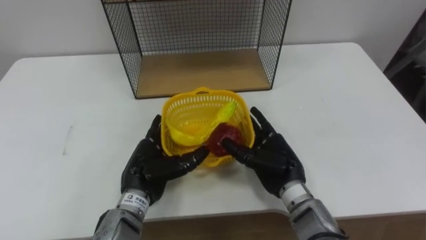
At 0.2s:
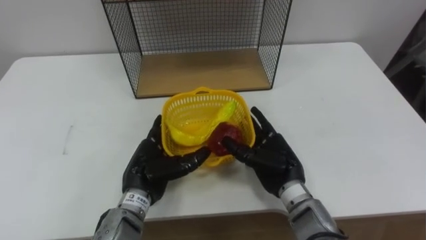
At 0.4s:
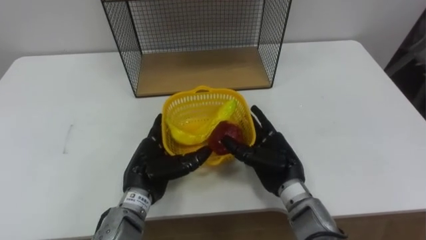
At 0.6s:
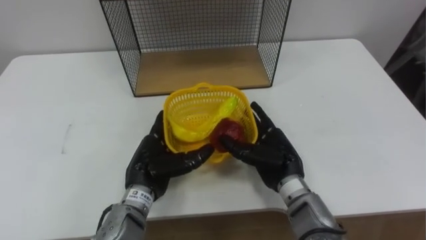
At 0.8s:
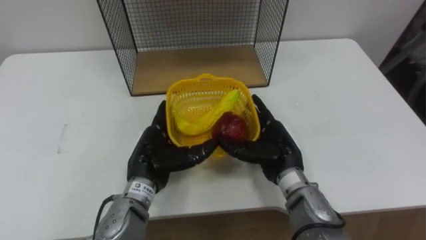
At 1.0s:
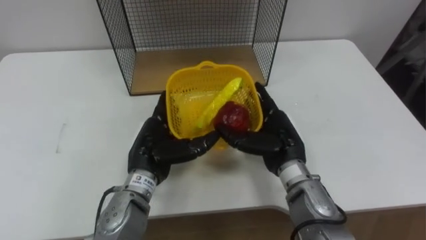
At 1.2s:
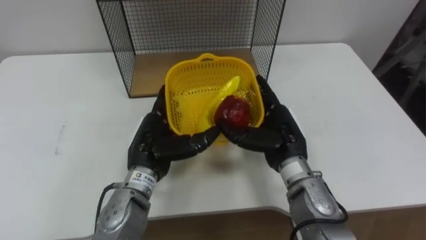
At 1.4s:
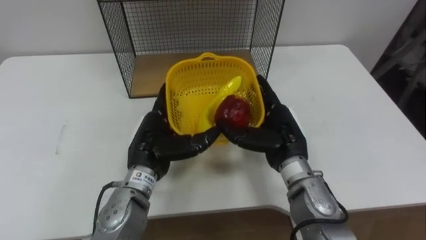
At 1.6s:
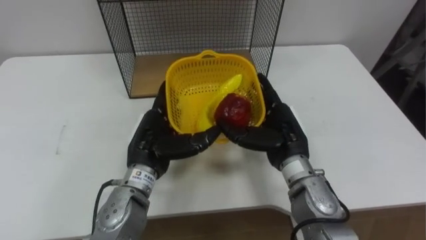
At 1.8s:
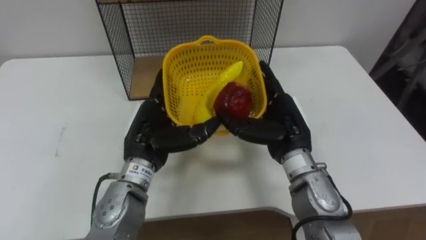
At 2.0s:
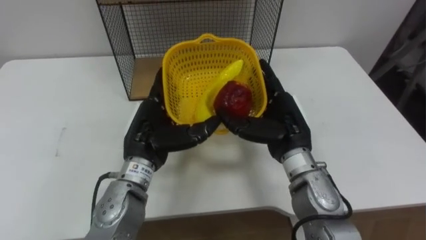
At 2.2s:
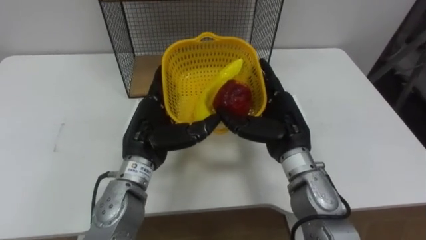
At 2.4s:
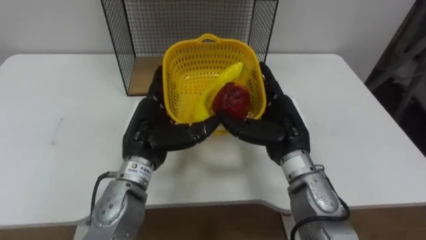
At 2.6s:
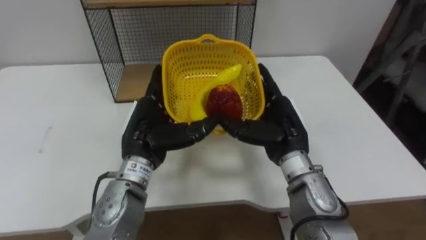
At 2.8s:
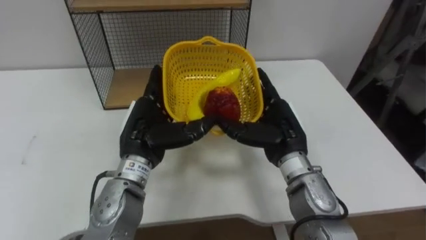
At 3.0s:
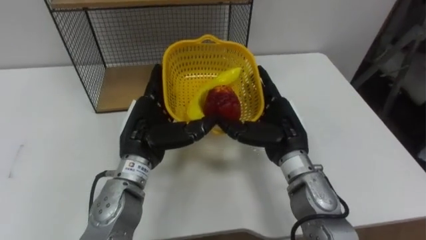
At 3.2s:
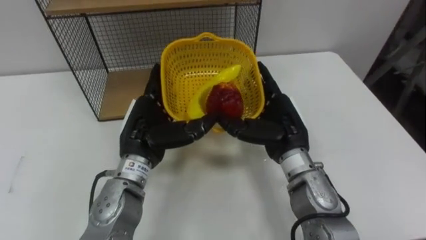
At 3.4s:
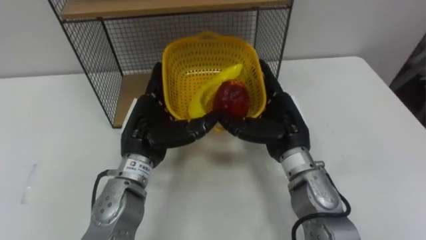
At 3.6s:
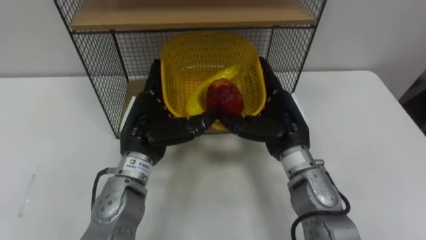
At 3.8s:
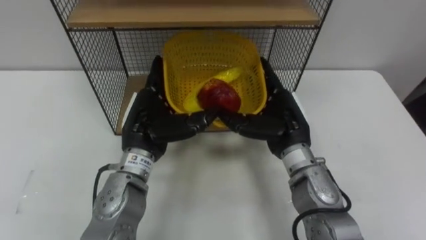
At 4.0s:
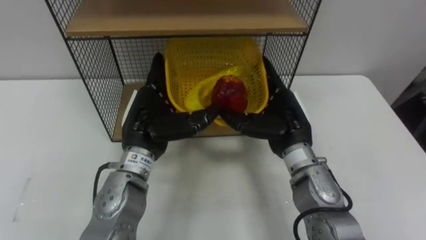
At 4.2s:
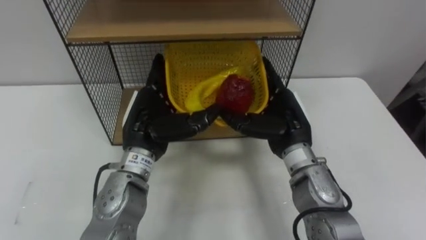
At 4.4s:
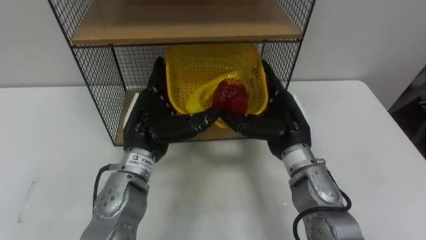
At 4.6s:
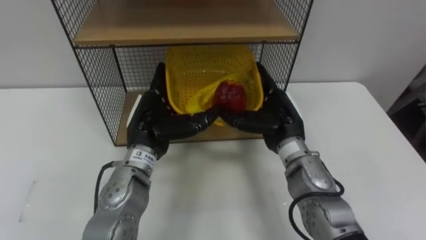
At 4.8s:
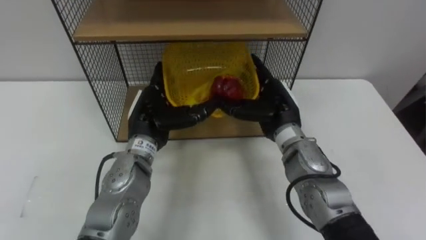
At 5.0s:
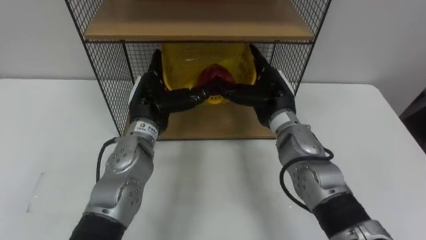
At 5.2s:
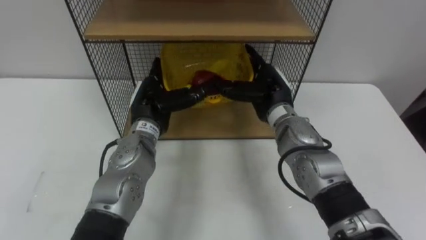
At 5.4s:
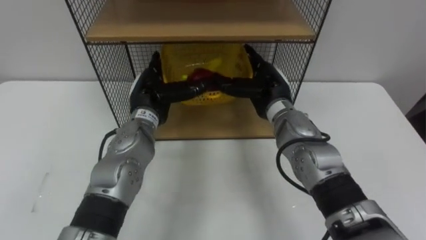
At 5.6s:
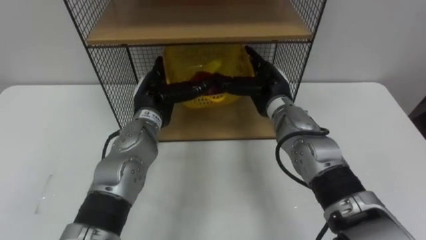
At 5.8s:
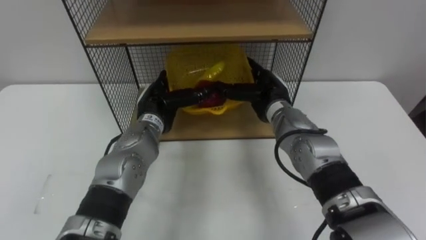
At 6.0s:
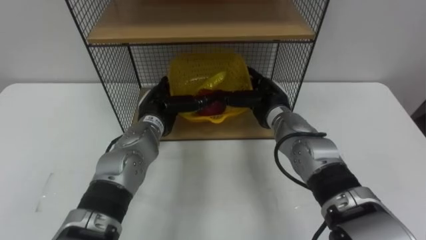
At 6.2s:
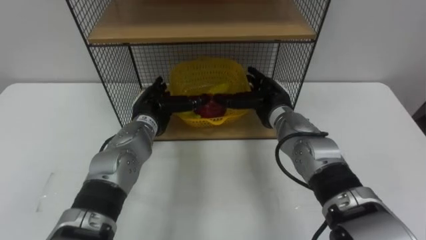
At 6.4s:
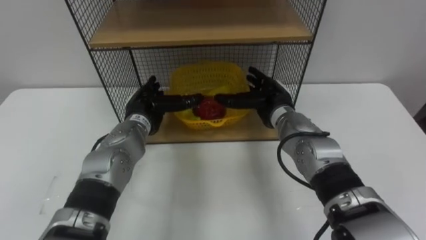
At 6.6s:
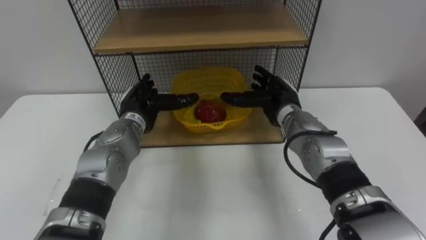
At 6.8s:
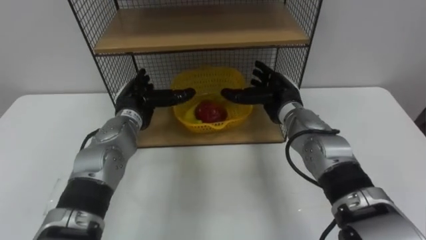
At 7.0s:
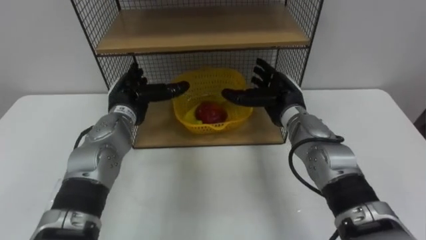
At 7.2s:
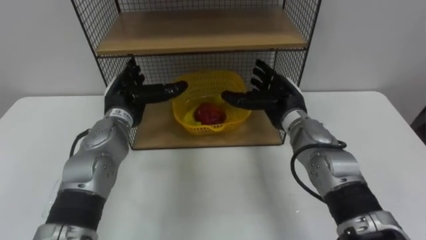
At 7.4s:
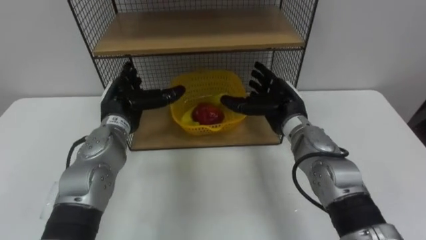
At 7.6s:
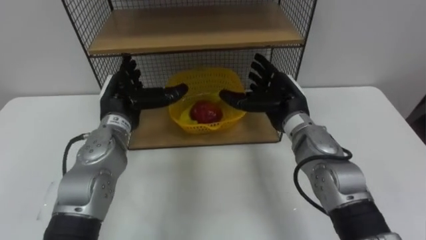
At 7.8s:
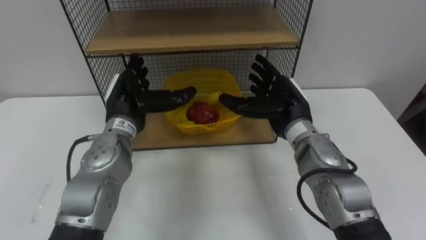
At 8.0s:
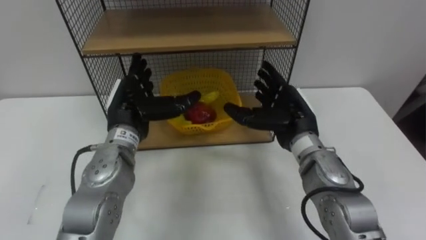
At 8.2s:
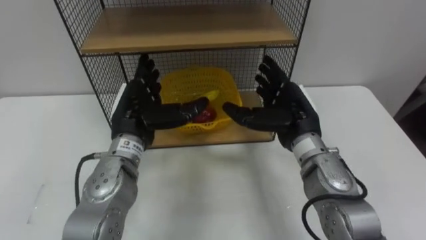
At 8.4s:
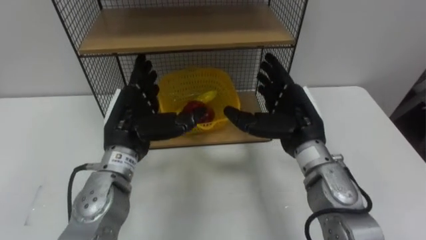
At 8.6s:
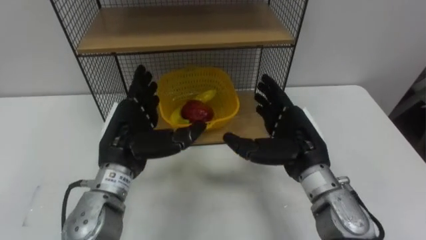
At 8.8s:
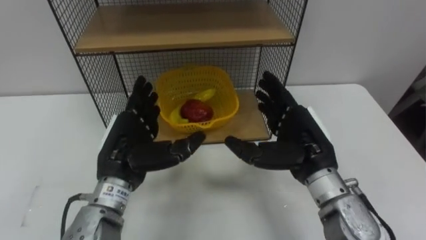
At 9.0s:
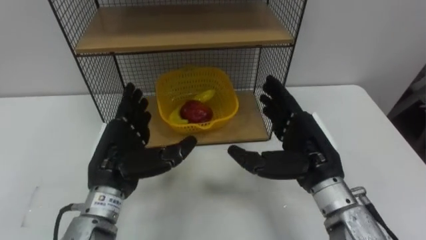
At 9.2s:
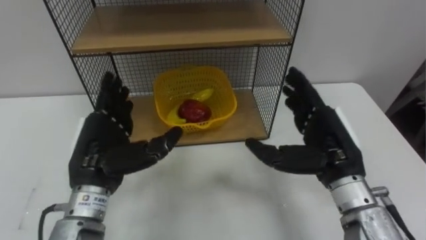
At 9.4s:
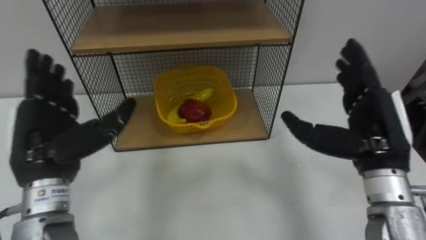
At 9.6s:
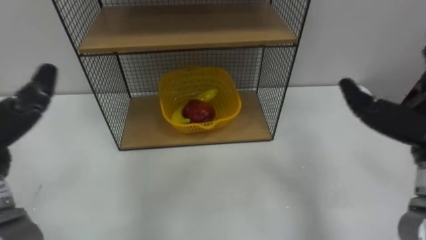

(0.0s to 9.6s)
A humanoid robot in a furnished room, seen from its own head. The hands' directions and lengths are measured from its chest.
Task of the whole recording: Put the fruit on the table into the basket, then place the basket on the shelf.
0.0s - 1.6s: The right hand moves upward, some 5 cm, while the left hand shifts by about 5 cm.
4.8s - 6.4s: The left hand moves forward, approximately 5 cm. Meanwhile the right hand shifts by some 5 cm.
6.4s - 8.0s: The right hand travels backward by some 5 cm; the left hand heads upward, covering some 5 cm.

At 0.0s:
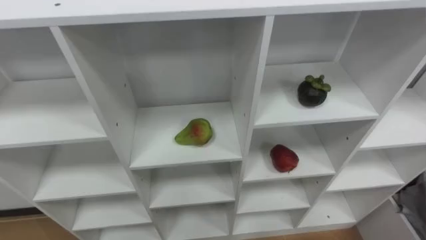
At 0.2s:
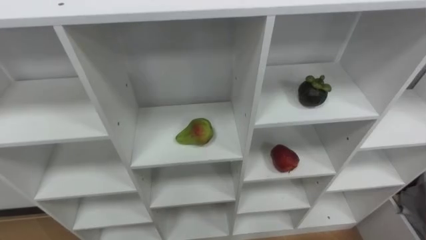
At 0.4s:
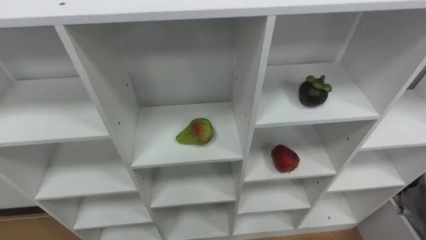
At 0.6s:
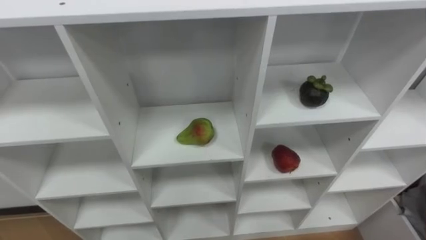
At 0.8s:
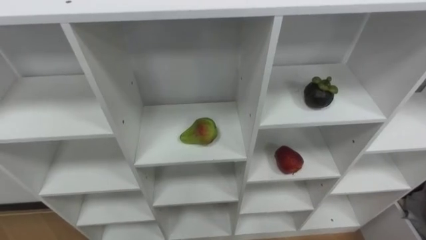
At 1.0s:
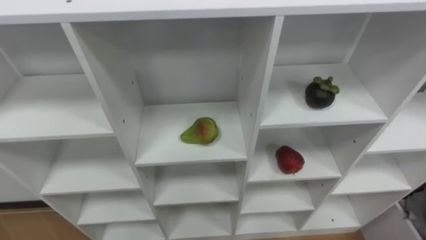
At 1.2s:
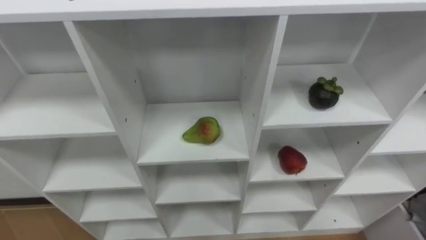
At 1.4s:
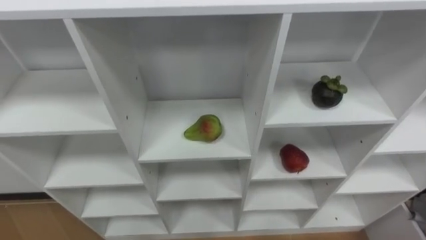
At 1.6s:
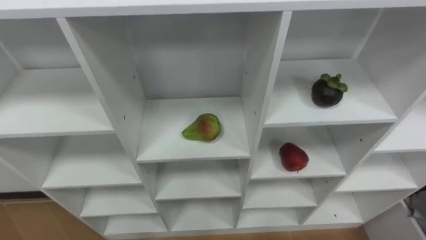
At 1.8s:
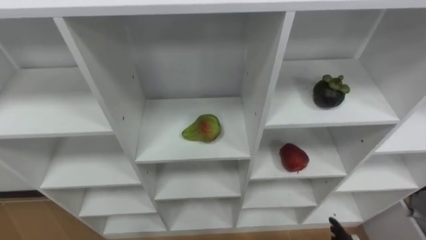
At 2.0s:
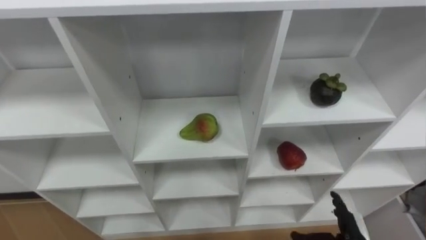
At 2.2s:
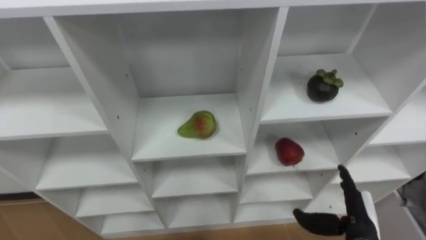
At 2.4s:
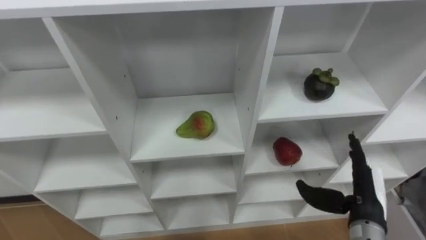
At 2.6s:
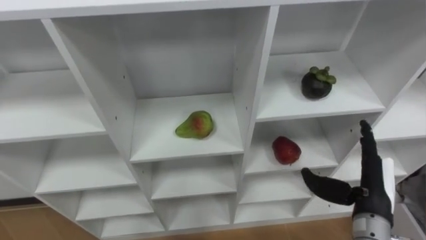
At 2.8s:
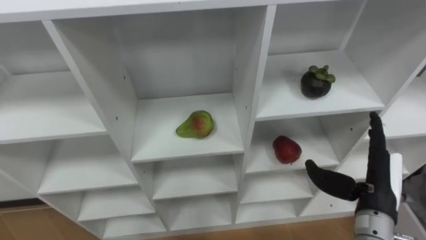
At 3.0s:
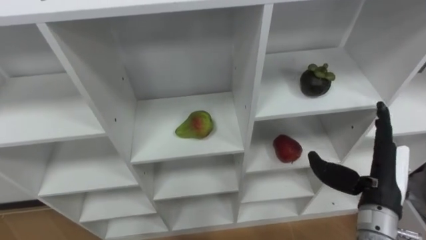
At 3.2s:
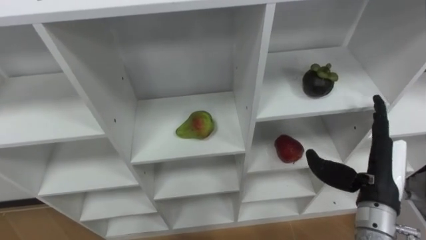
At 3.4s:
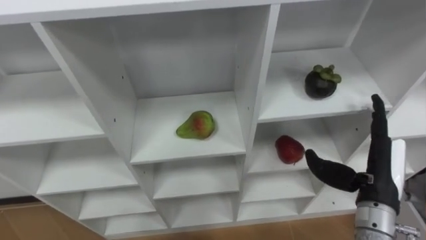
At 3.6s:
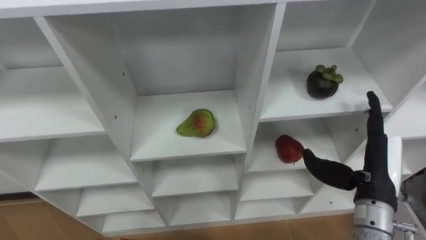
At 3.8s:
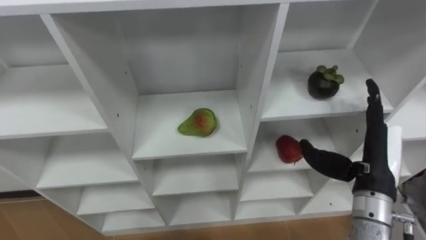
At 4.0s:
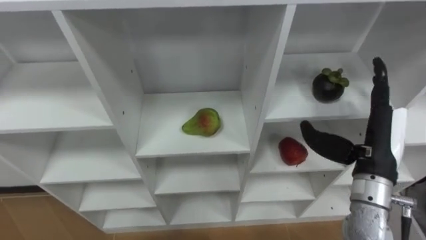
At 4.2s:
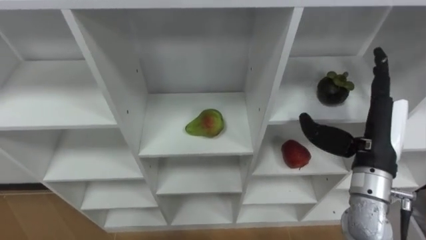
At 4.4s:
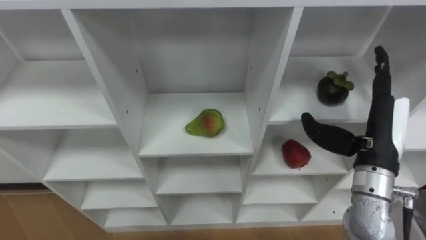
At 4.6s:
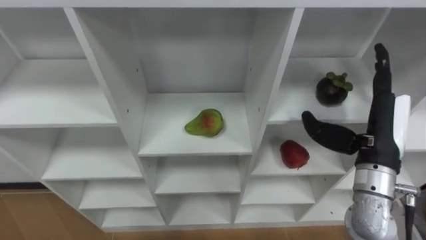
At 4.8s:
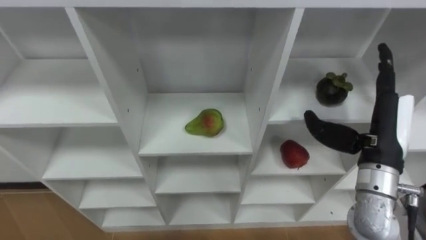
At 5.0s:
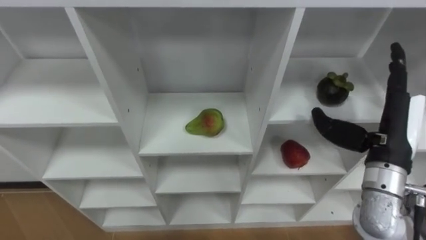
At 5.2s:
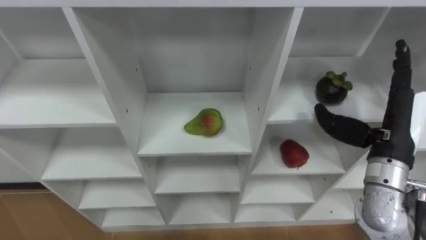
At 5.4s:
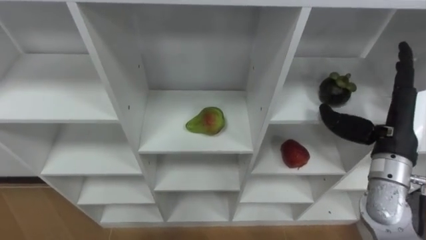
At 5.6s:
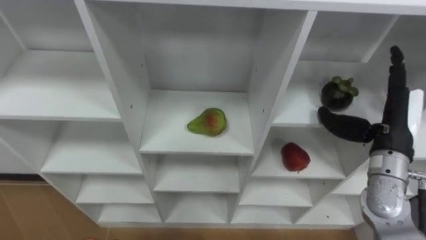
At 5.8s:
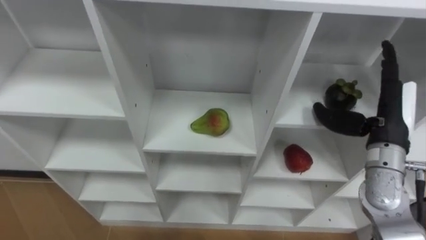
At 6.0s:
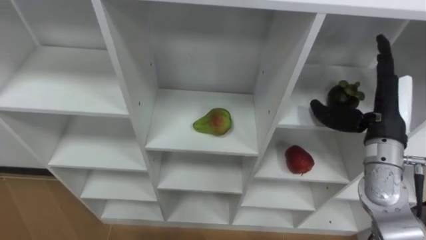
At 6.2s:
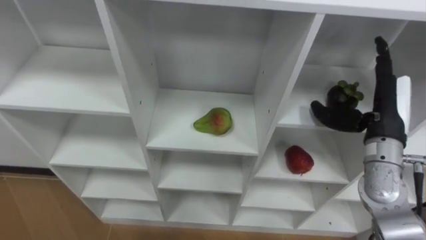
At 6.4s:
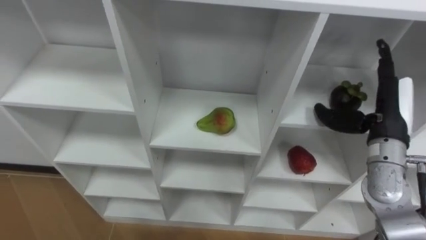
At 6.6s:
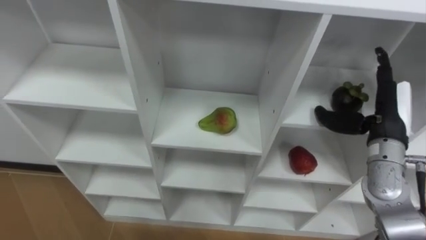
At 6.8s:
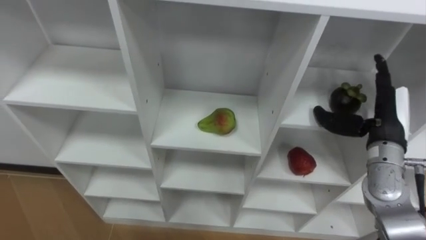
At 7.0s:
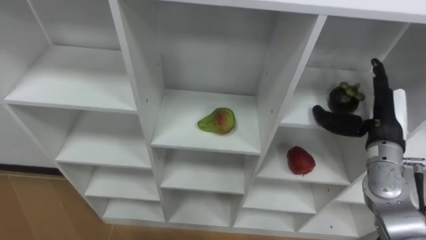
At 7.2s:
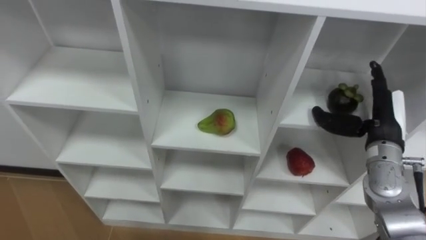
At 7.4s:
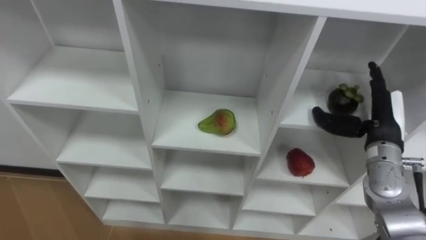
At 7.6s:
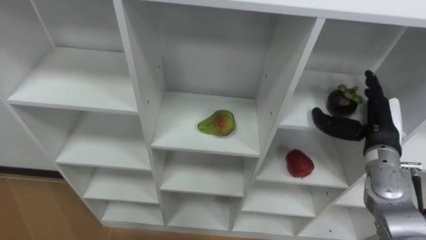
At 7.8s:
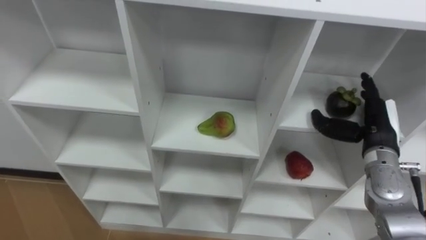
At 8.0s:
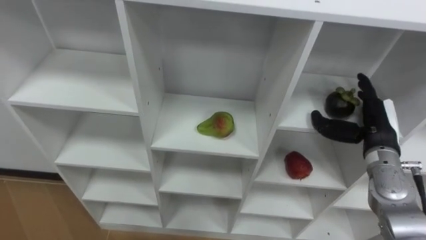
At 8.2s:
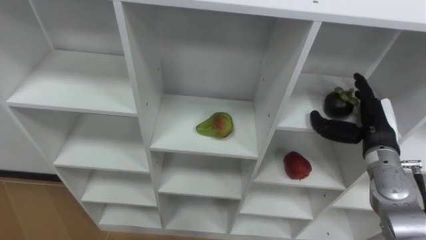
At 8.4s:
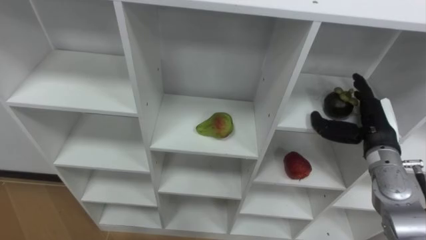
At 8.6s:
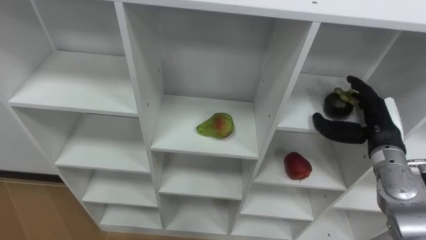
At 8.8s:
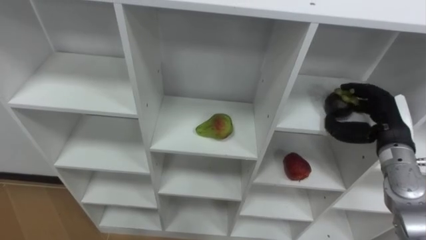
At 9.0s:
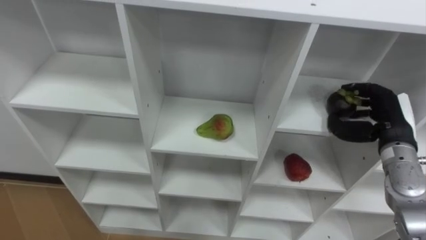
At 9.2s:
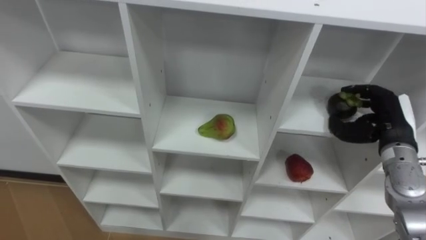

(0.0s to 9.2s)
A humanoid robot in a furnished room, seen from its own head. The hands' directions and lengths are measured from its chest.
Task of the whole recording: Hold the basket and collect the fruits from 3 different cells of the closet into it.
3.0s - 4.6s: The right hand goes some 5 cm upward.
4.6s - 6.2s: The right hand moves roughly 5 cm.
6.2s - 7.6s: The right hand shifts approximately 5 cm downward.
7.6s - 9.2s: The right hand closes.
